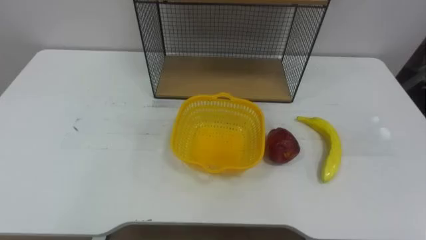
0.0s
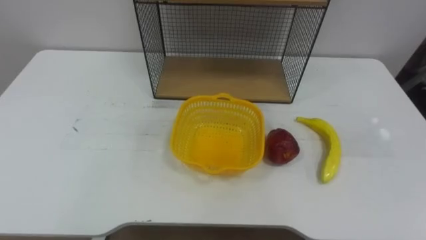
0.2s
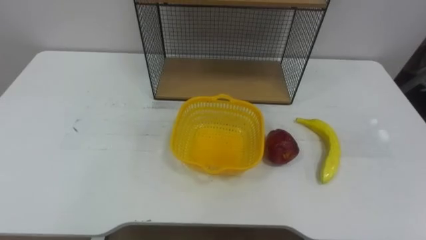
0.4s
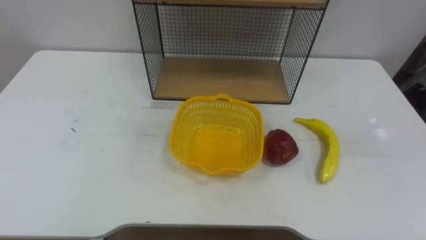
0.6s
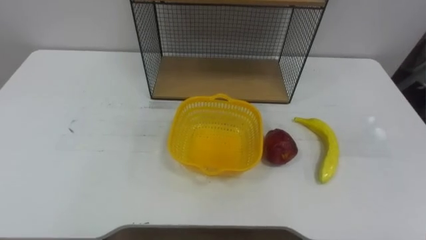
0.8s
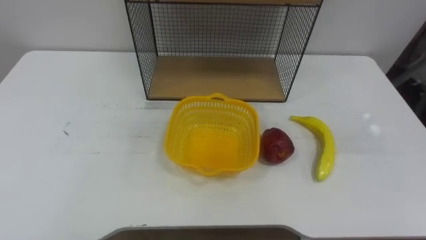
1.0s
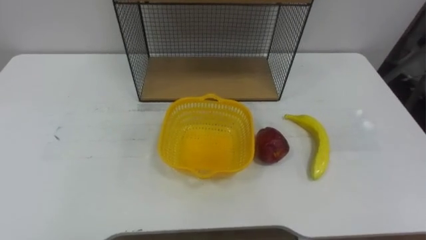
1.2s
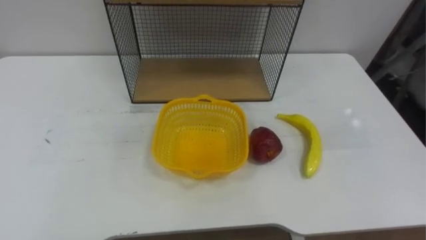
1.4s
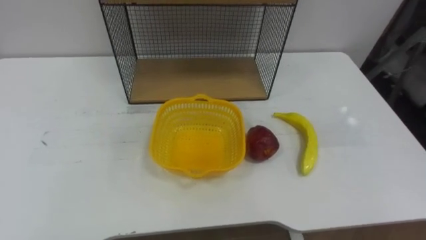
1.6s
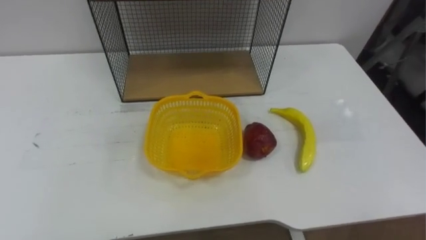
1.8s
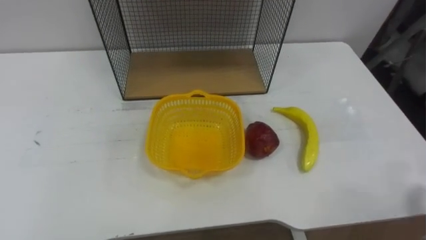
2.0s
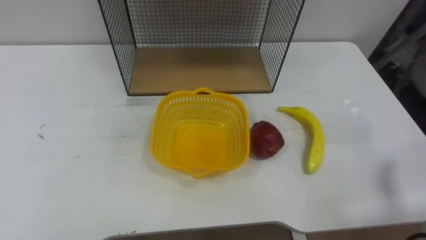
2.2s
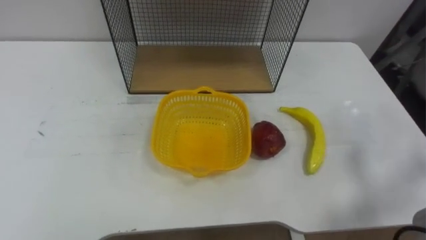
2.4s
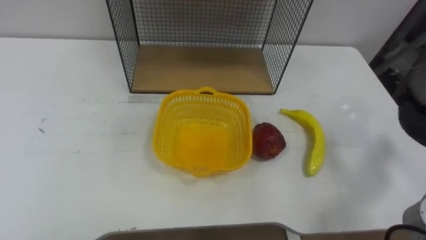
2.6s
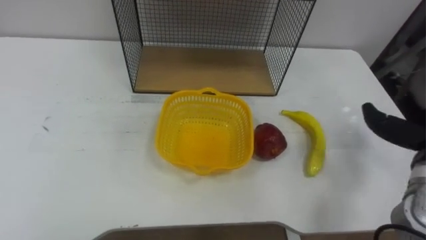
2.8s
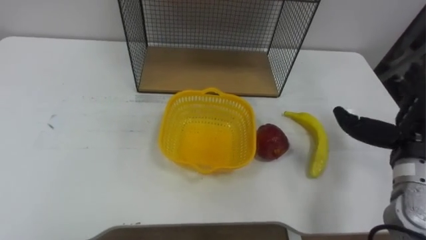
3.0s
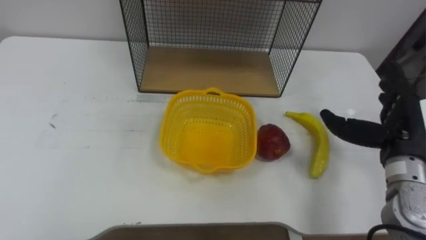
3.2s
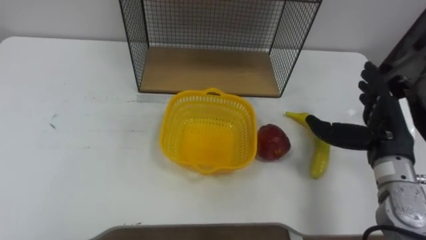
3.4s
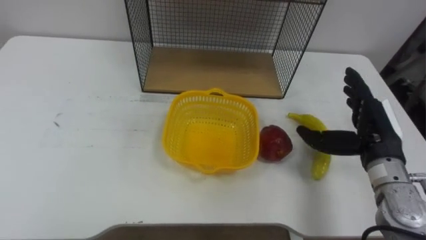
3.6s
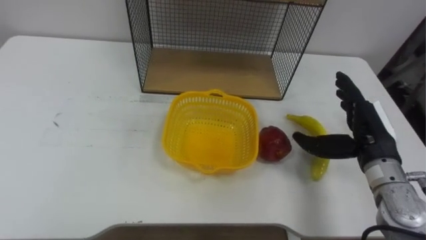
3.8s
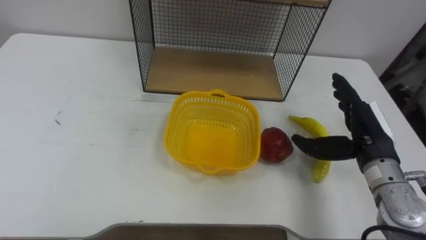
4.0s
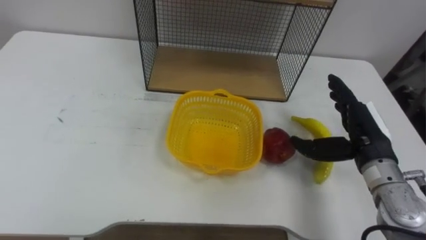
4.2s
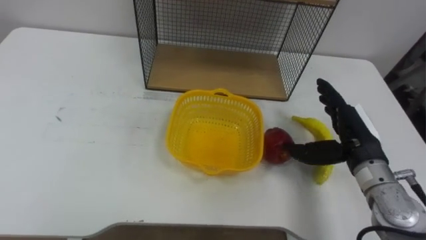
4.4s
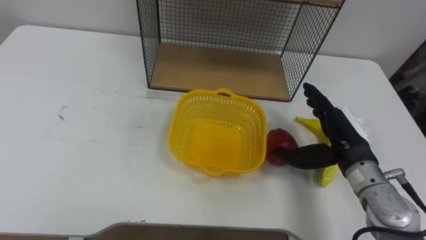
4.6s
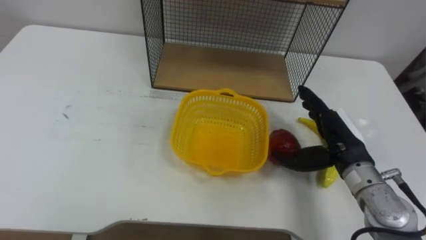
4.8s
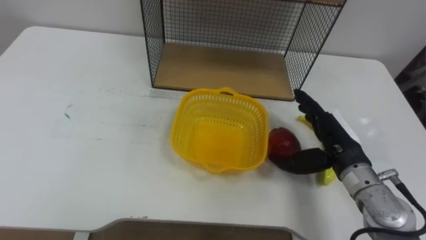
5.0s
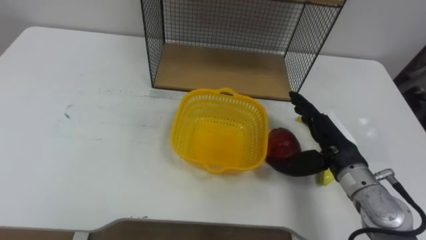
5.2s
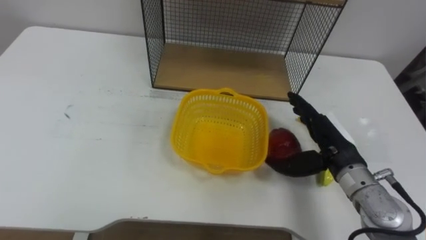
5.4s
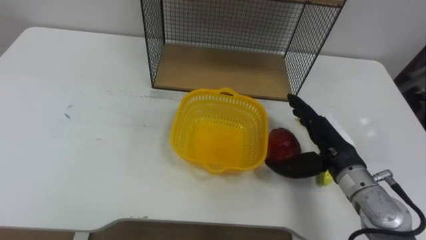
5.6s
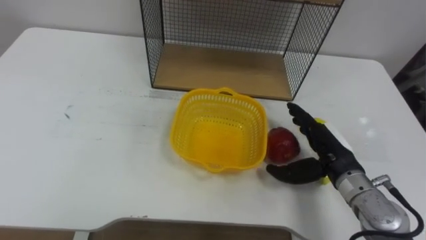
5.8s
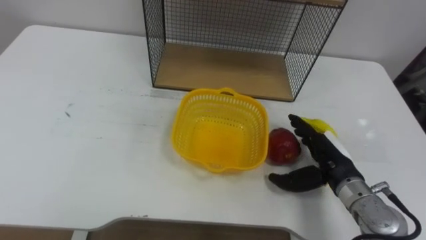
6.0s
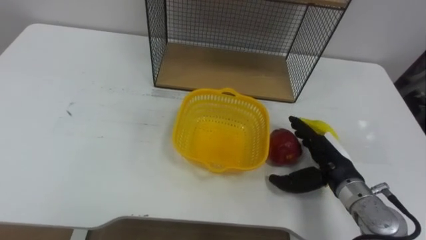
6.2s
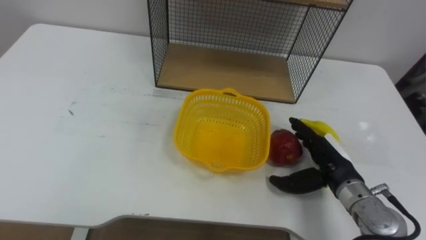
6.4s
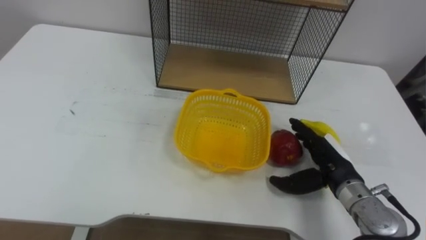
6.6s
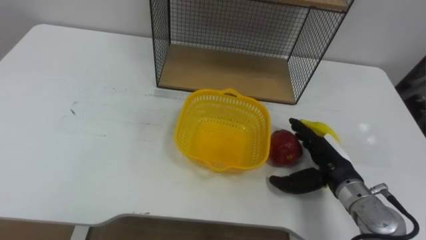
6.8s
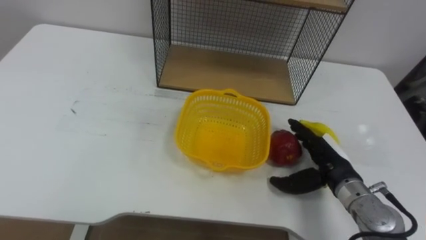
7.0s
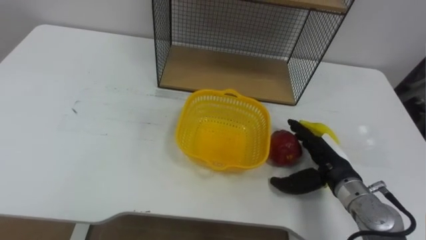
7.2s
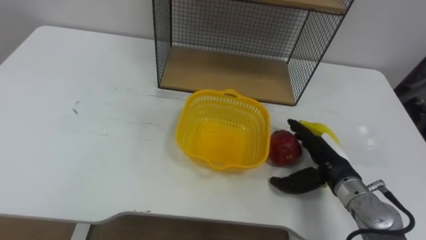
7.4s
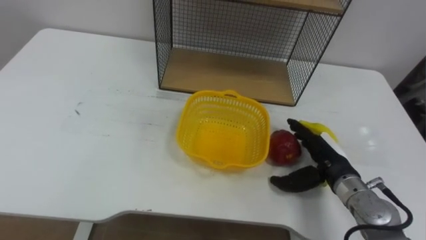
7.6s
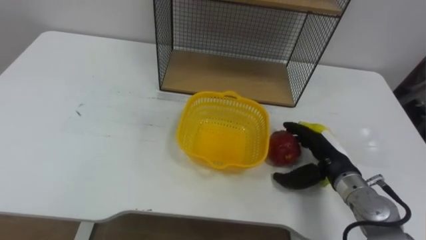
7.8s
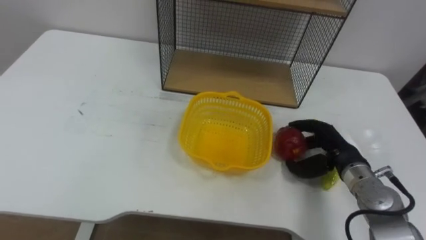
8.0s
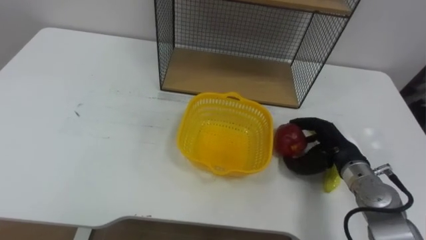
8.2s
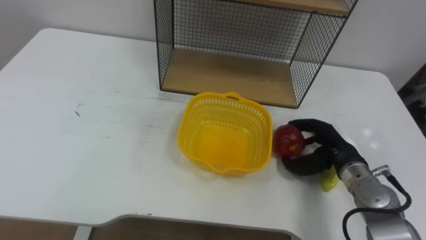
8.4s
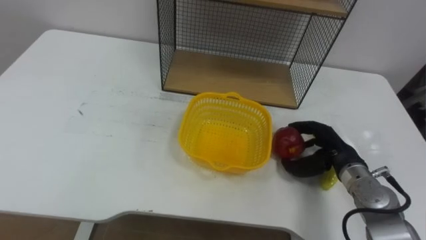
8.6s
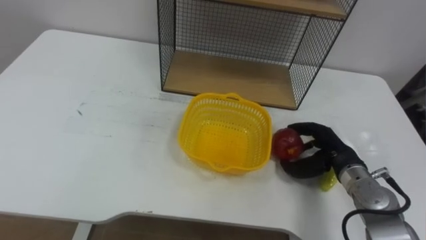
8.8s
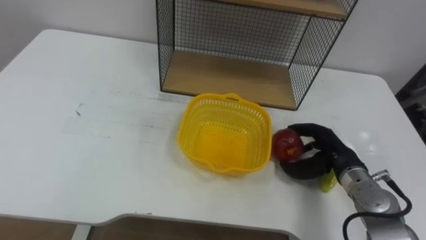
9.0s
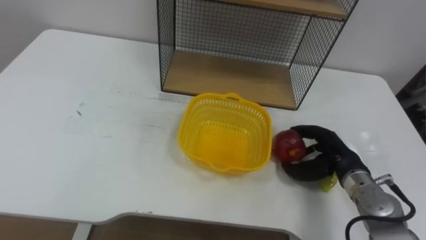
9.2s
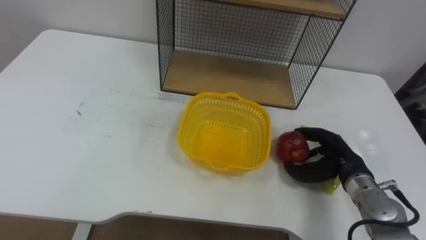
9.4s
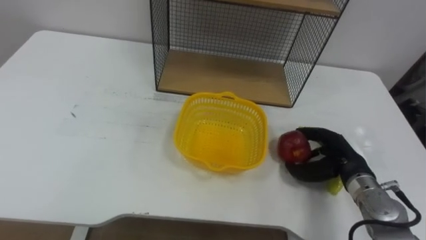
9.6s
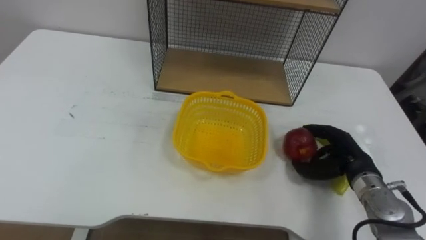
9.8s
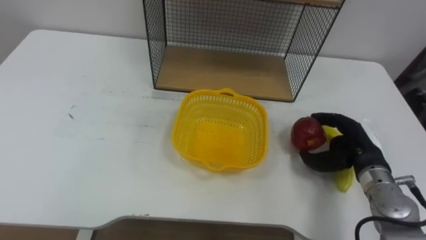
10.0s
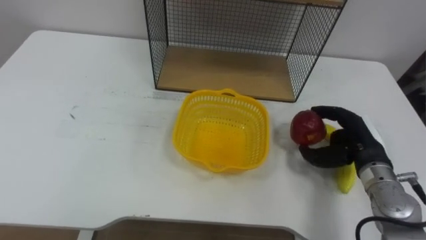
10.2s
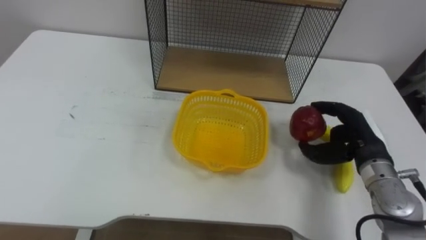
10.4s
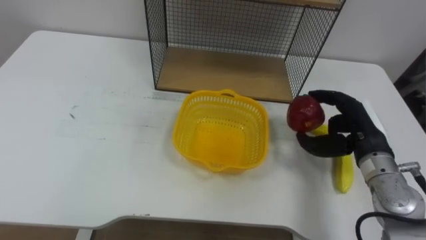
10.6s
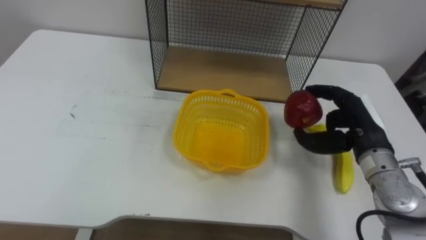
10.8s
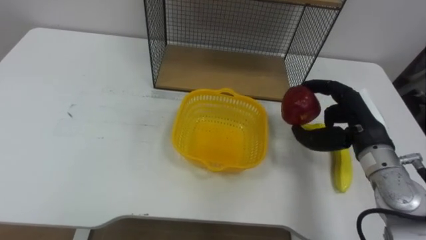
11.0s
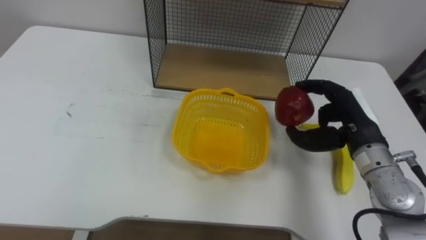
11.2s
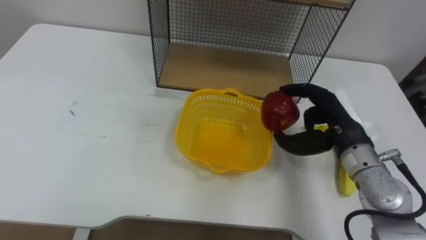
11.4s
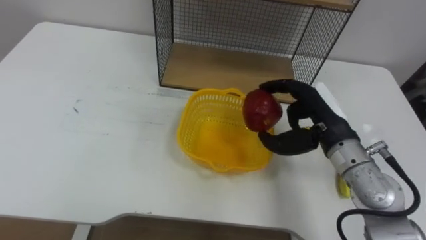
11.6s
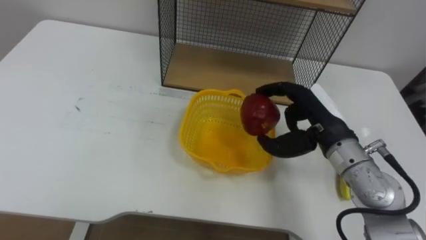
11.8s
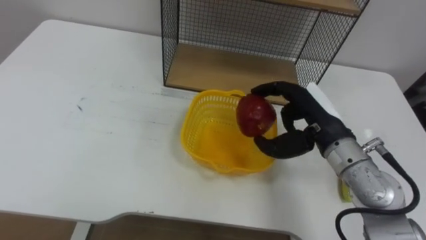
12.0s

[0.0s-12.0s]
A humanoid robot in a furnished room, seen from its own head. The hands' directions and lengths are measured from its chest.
Task of the whole recording: Put the fruit on the table into the basket, then place the basket on the shelf.
3.0s to 4.4s: The right hand travels to the left by some 5 cm.
4.4s to 6.0s: The right hand shifts approximately 5 cm downward.
7.6s to 9.0s: The right hand closes its fingers.
9.0s to 10.4s: The right hand travels upward by some 5 cm.
10.4s to 12.0s: The right hand is displaced to the left and upward by some 10 cm.

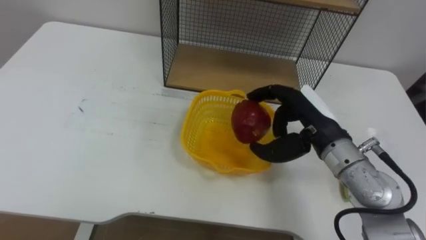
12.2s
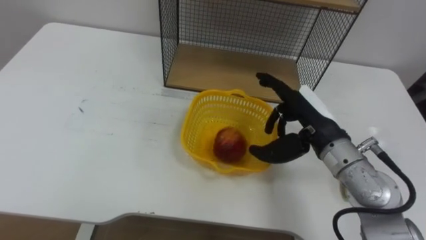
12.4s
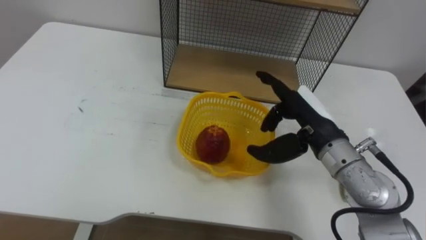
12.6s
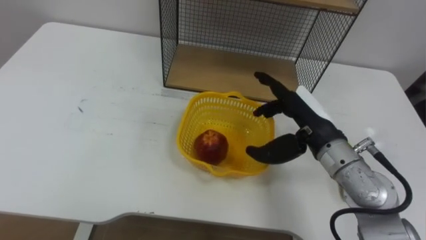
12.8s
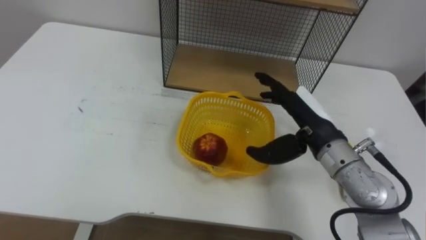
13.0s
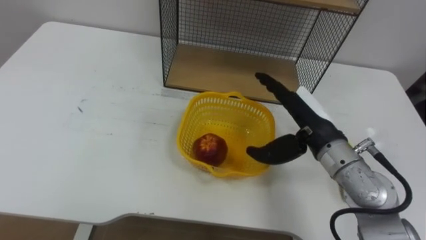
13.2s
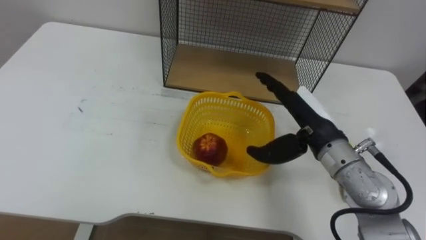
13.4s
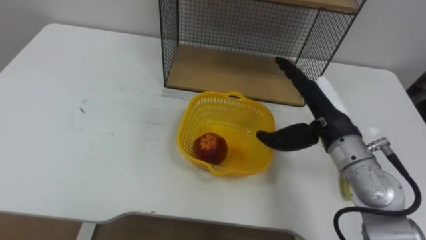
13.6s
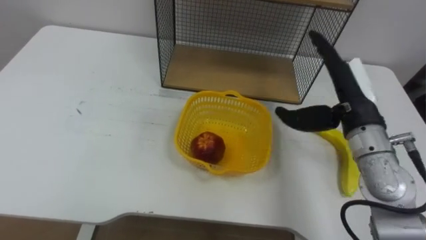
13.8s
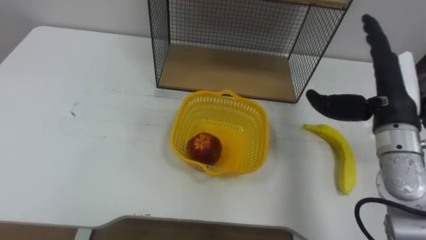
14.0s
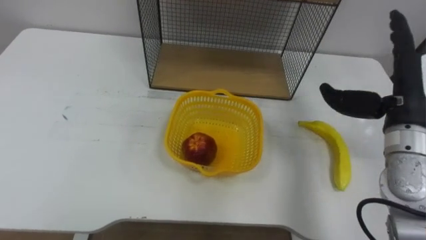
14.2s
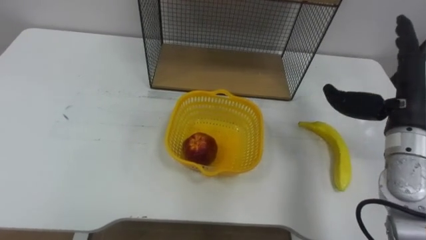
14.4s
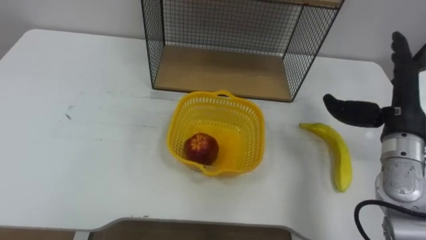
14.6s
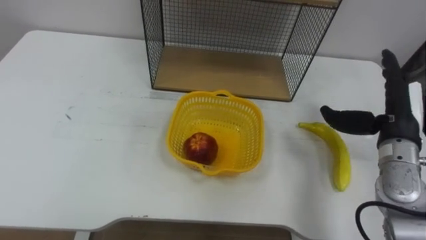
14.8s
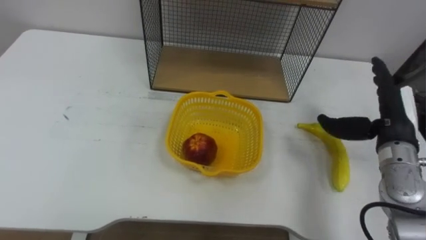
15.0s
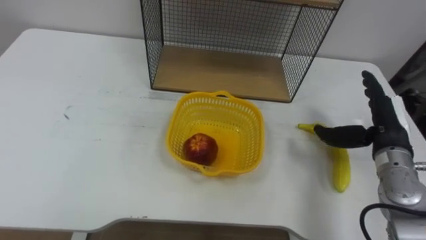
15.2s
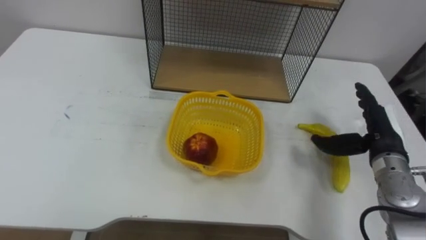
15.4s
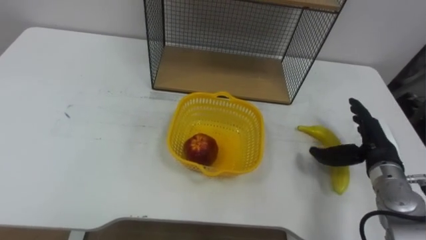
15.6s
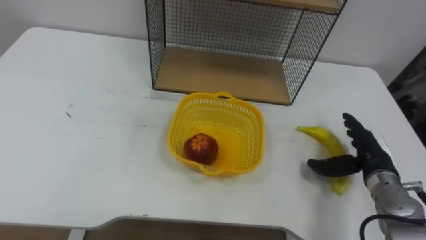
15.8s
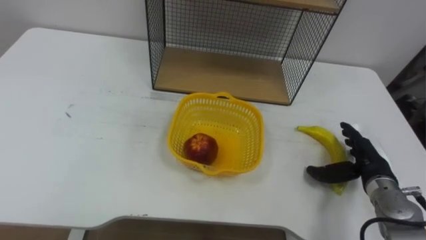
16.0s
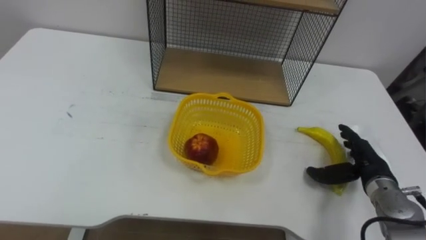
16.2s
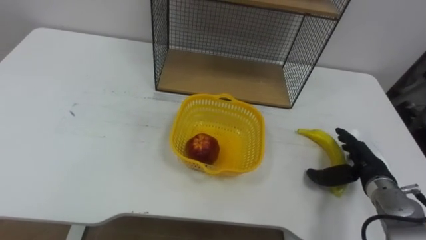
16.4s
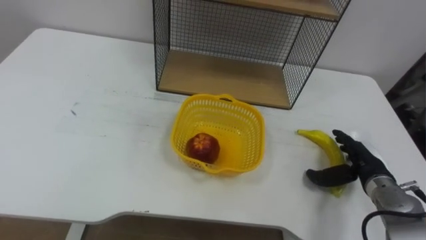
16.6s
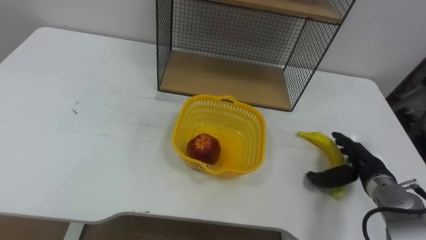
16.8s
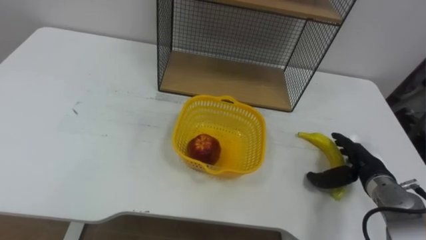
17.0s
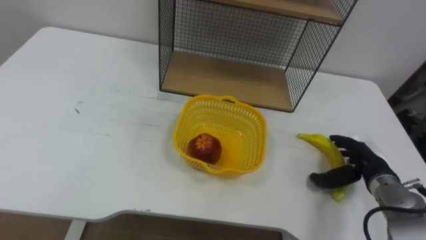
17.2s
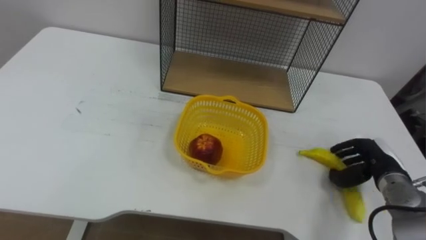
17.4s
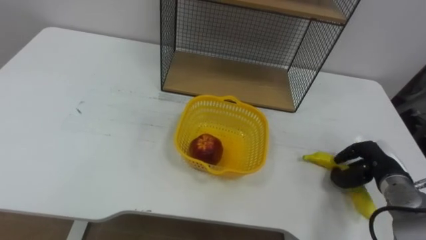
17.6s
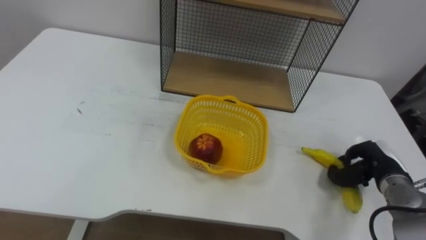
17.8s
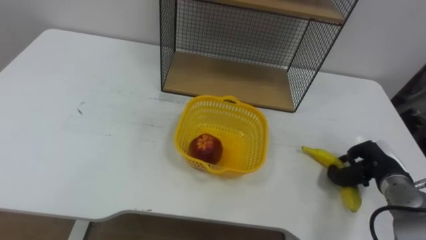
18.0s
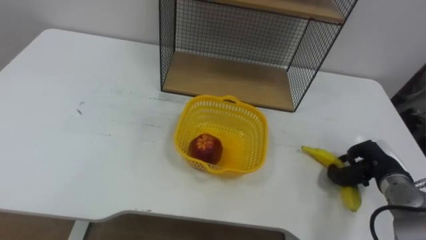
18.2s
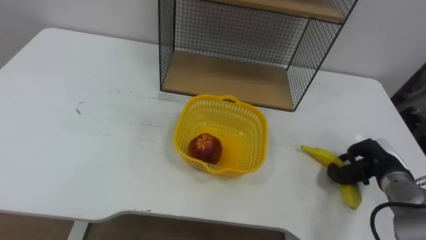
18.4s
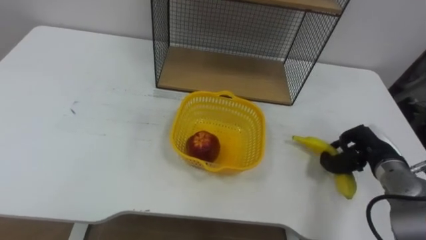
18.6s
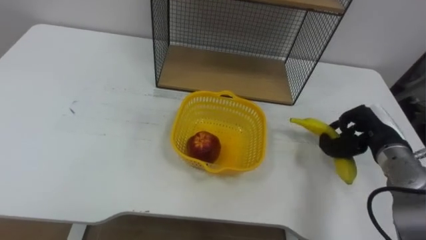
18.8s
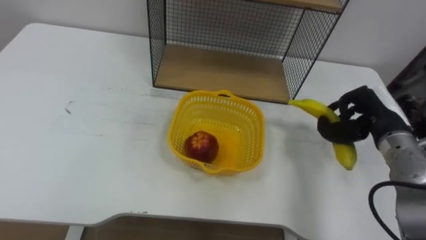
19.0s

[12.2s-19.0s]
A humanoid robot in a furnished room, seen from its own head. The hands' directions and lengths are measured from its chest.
Task of the whole recording: Put the fruit on the table into the basket, then place the basket on the shelf.
12.2s to 13.6s: The right hand opens up.
13.6s to 15.0s: The right hand heads to the right, covering about 10 cm.
15.0s to 16.2s: The right hand goes about 10 cm downward.
16.2s to 17.6s: The right hand closes.
17.6s to 19.0s: The right hand shifts approximately 10 cm upward.
